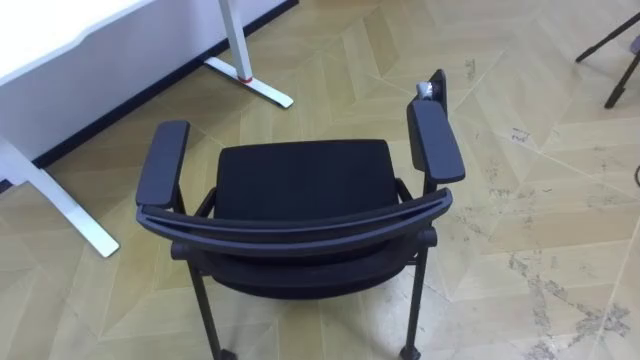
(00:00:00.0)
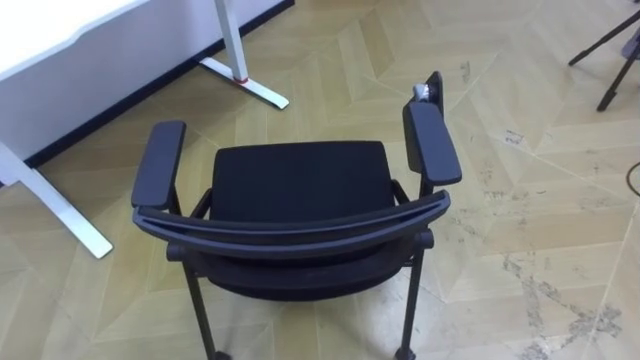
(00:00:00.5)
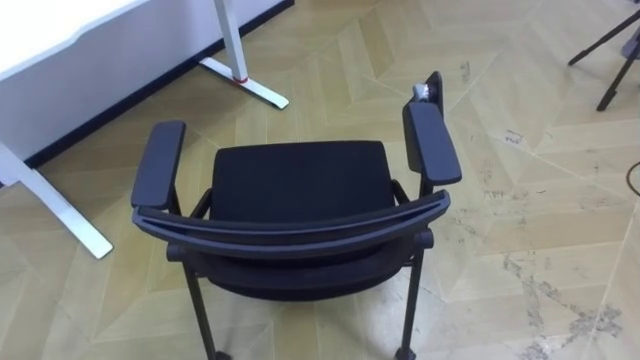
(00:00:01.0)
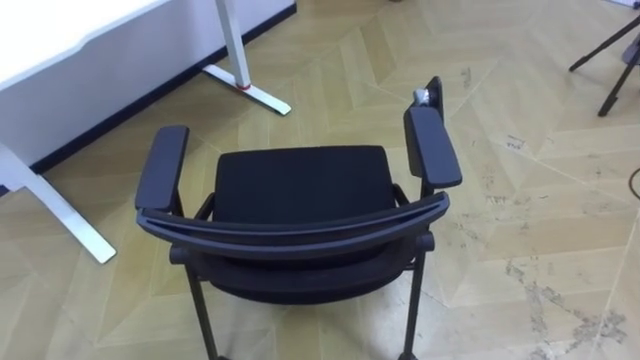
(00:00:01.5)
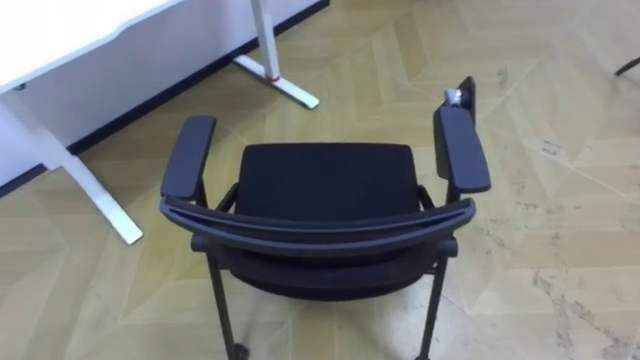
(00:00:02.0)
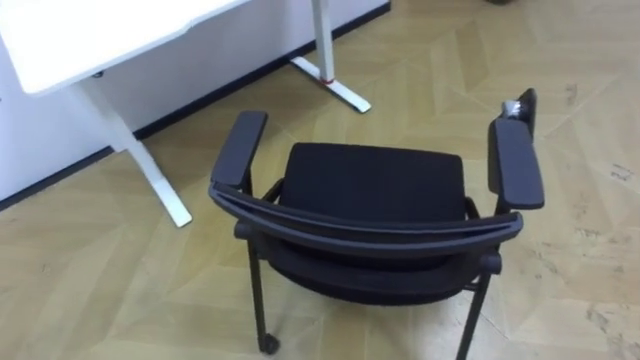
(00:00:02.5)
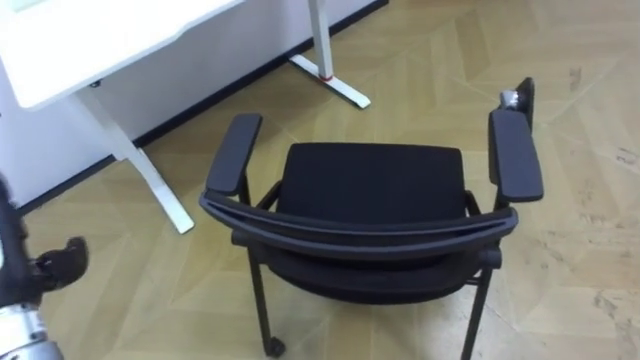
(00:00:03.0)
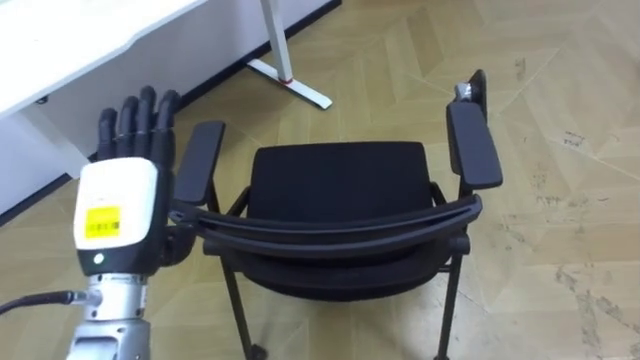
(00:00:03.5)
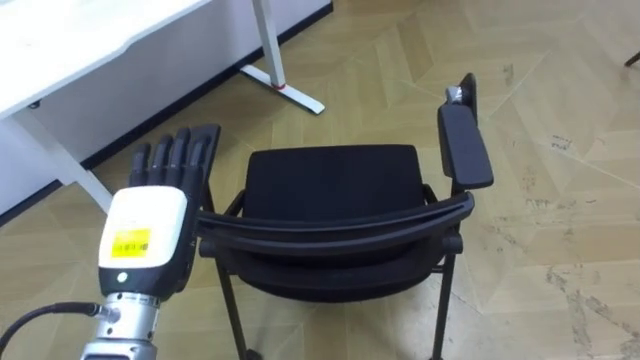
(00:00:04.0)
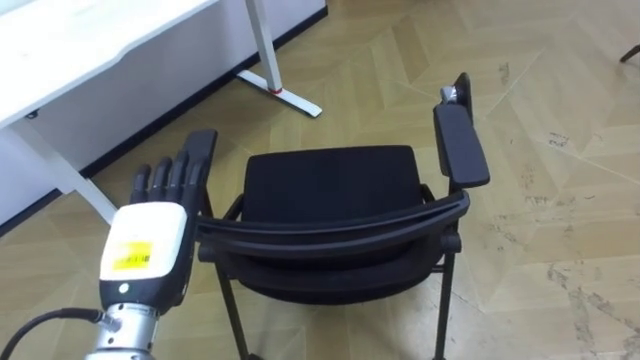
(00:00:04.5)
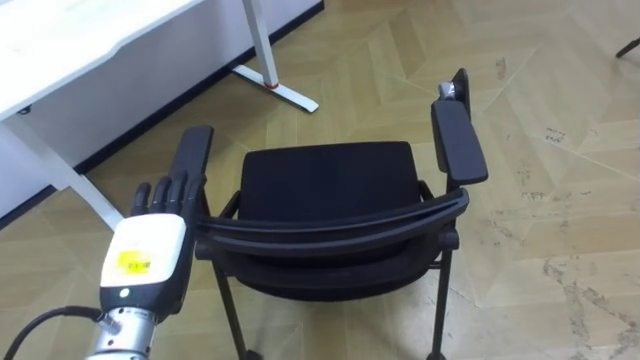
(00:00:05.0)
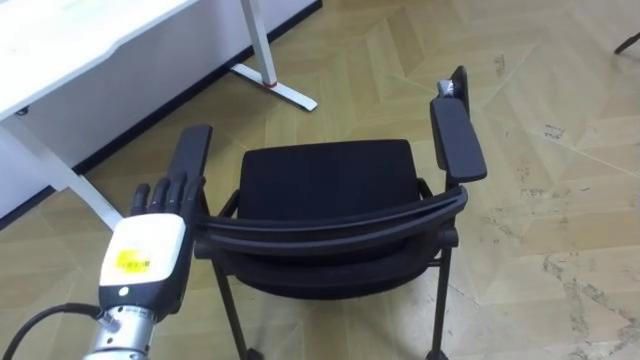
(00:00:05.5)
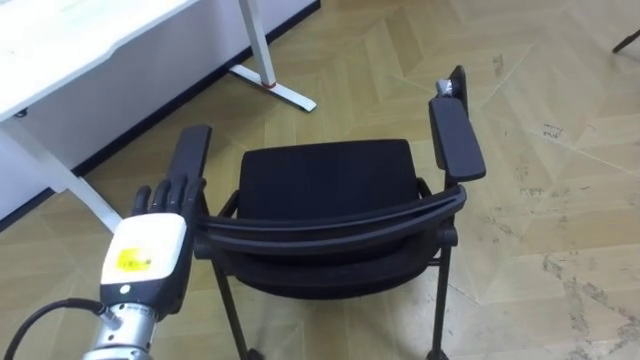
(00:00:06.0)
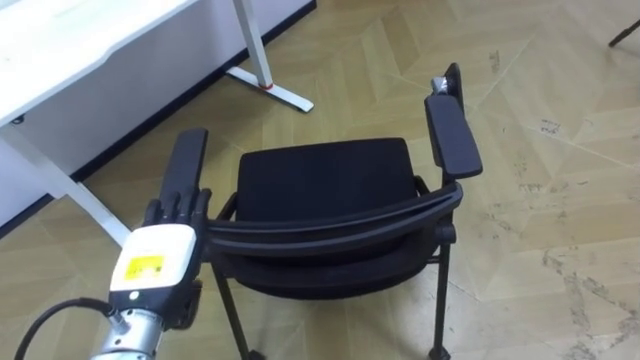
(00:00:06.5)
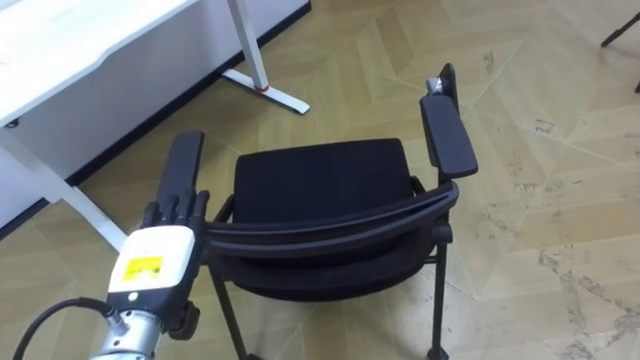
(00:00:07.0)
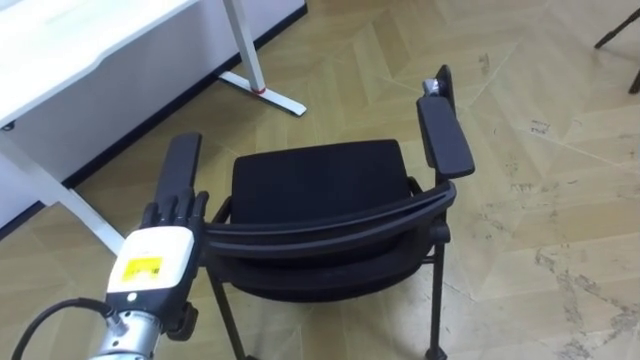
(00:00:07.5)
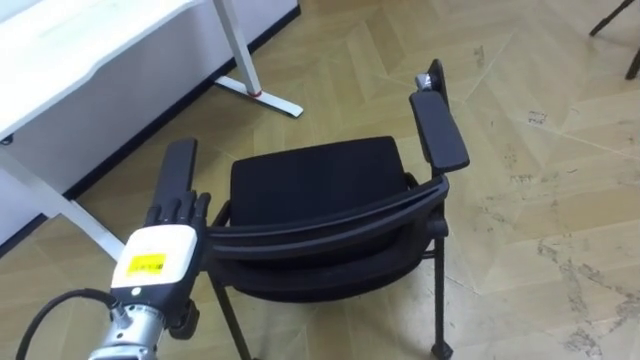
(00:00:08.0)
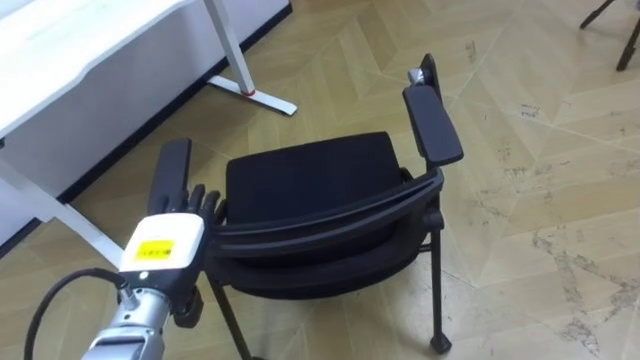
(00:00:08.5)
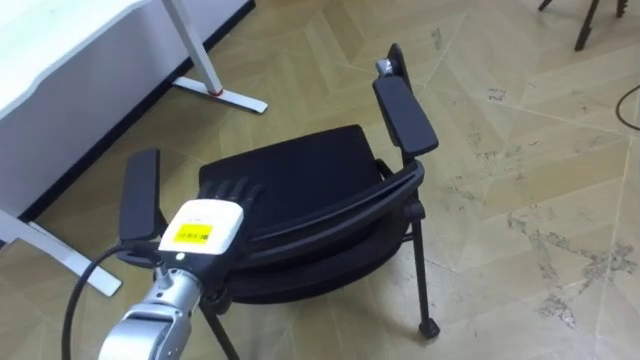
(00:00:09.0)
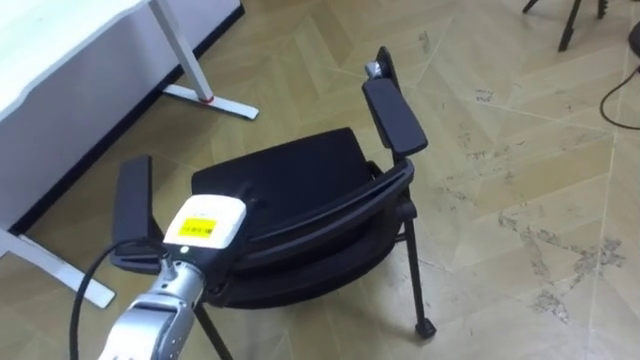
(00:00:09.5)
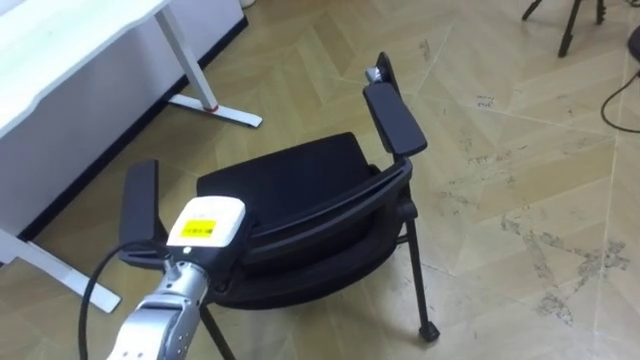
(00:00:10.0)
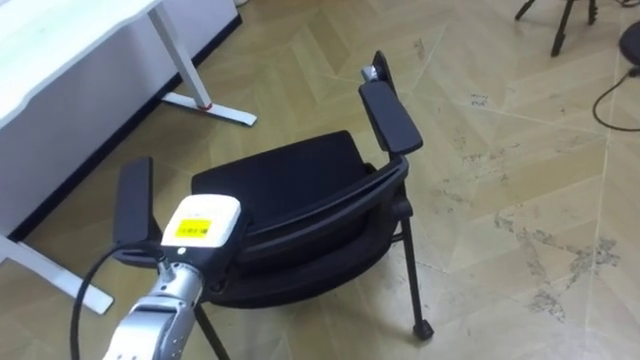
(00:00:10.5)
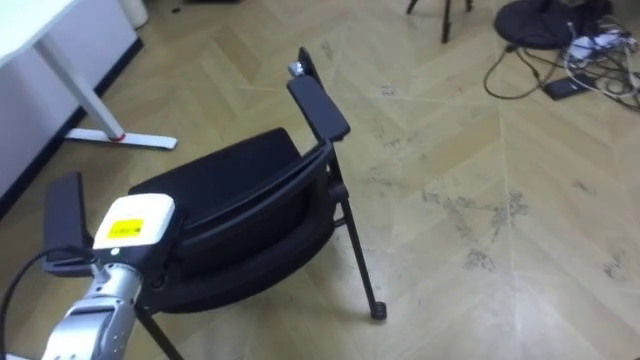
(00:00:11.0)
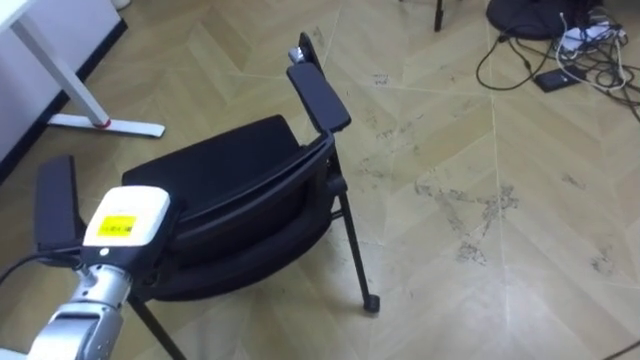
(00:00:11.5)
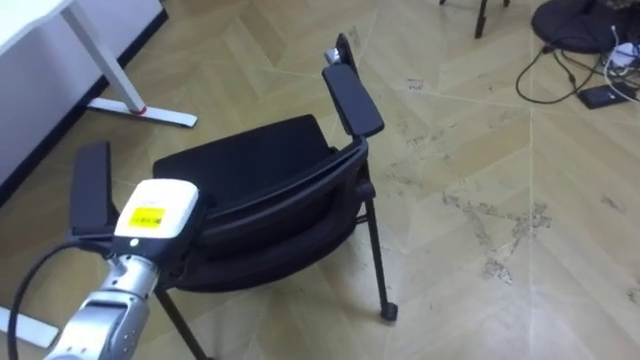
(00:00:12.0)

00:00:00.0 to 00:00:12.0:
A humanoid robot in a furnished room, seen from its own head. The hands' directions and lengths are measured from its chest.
Task of the whole recording: Push the chair under the table.
00:00:08.0 to 00:00:10.0: The left hand moves roughly 5 cm, and closes its fingers.
00:00:10.0 to 00:00:12.0: The left hand travels to the left by about 5 cm.

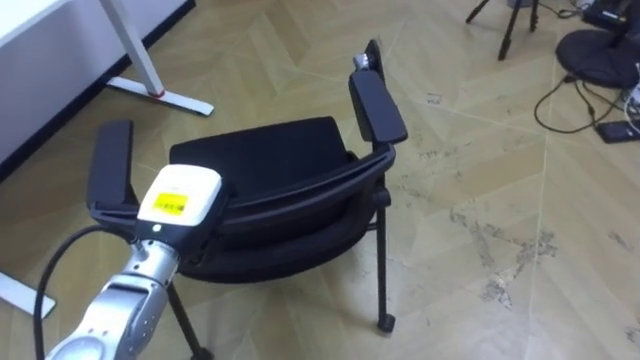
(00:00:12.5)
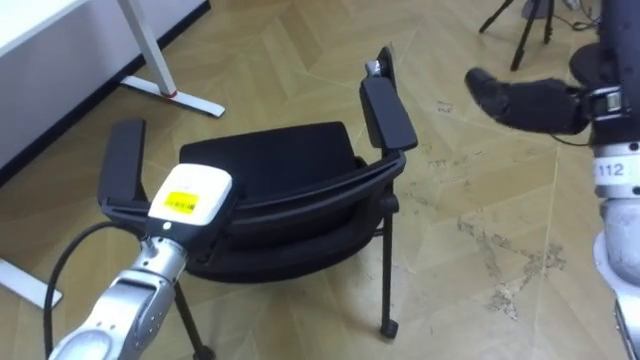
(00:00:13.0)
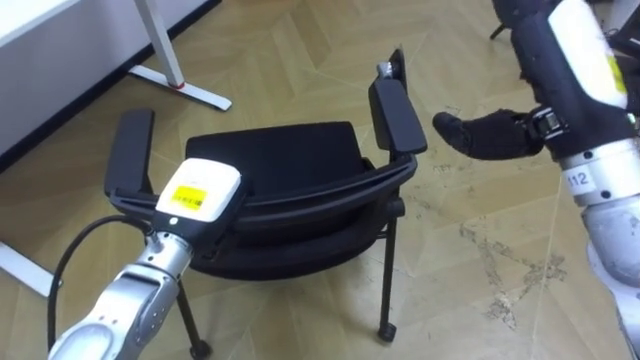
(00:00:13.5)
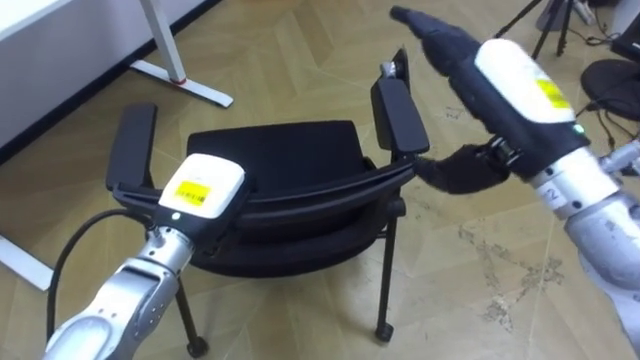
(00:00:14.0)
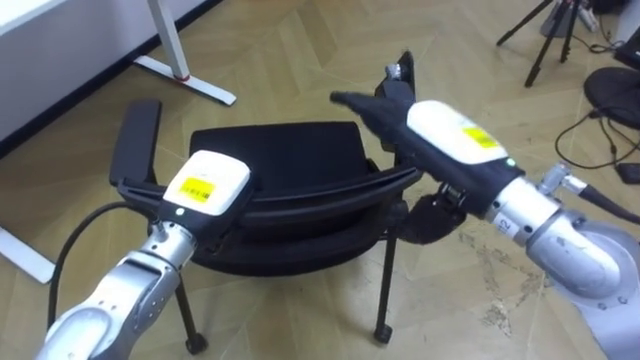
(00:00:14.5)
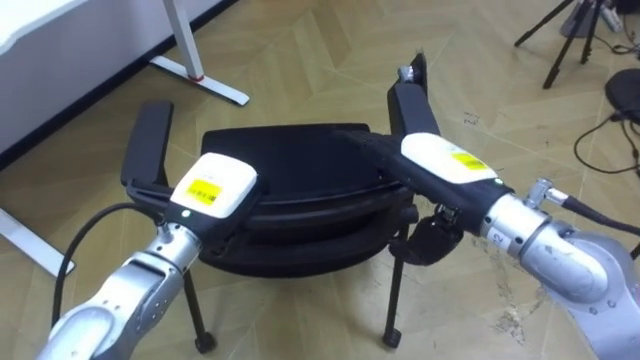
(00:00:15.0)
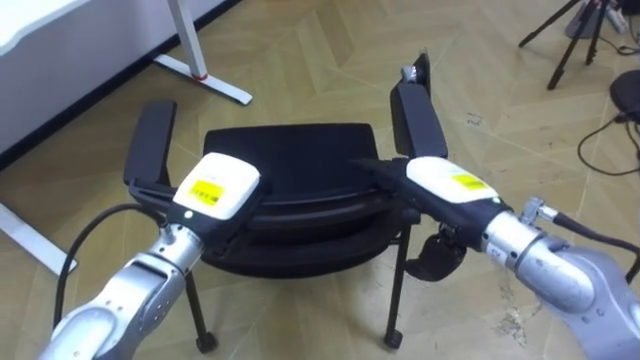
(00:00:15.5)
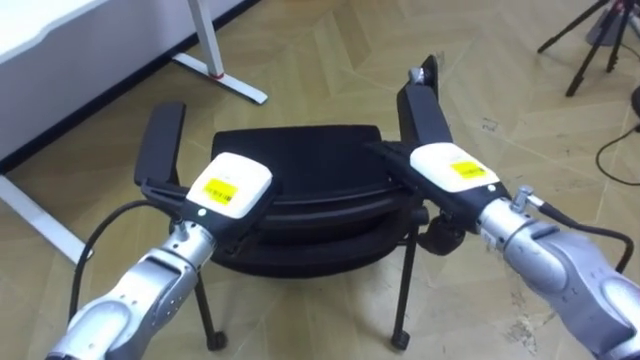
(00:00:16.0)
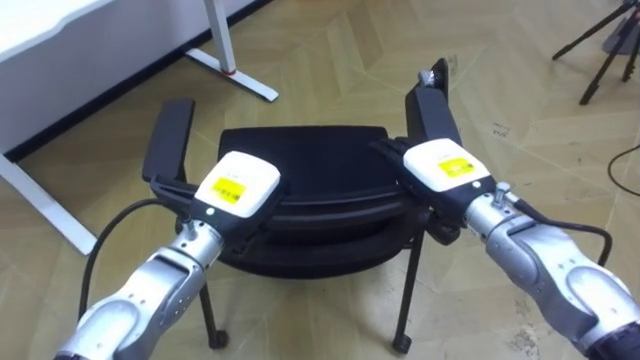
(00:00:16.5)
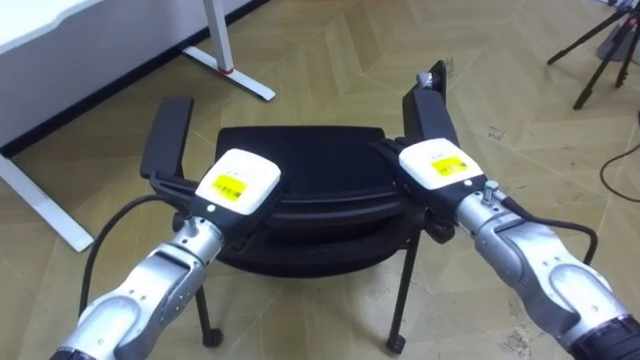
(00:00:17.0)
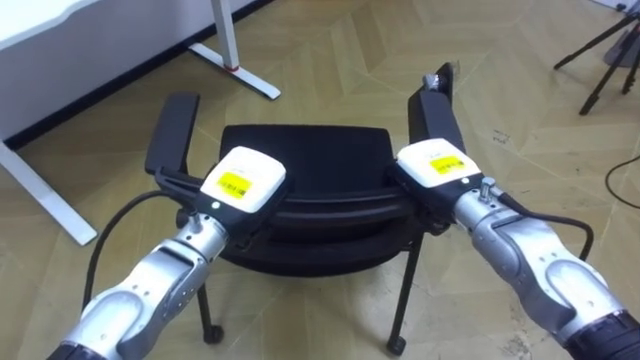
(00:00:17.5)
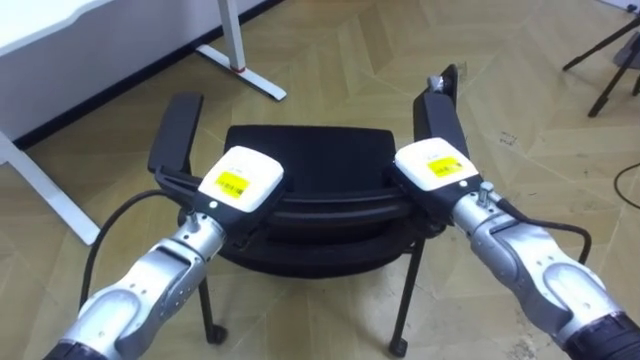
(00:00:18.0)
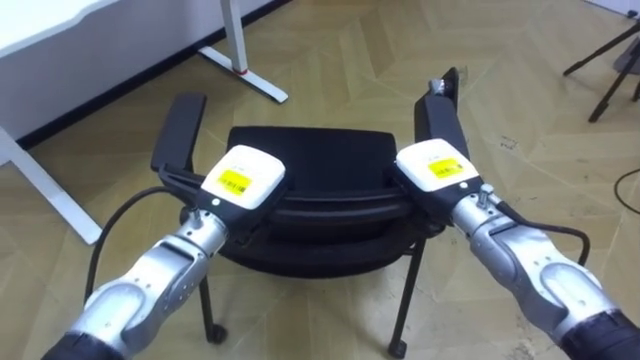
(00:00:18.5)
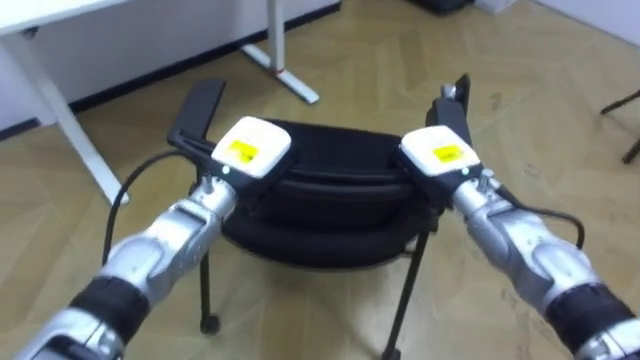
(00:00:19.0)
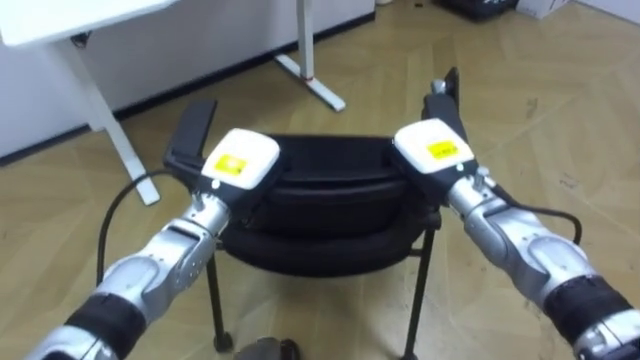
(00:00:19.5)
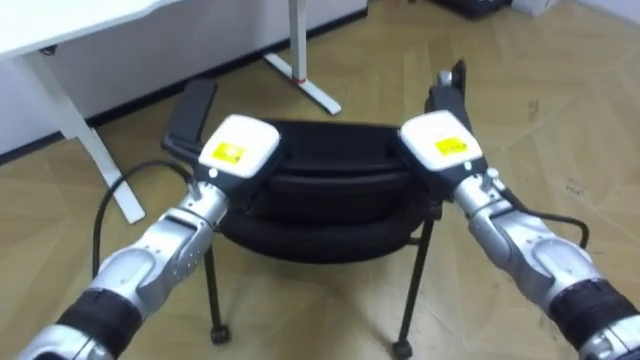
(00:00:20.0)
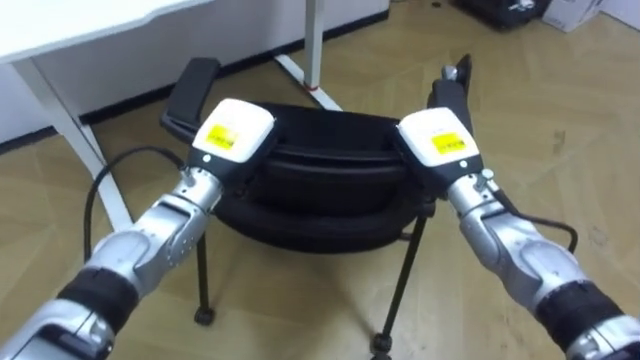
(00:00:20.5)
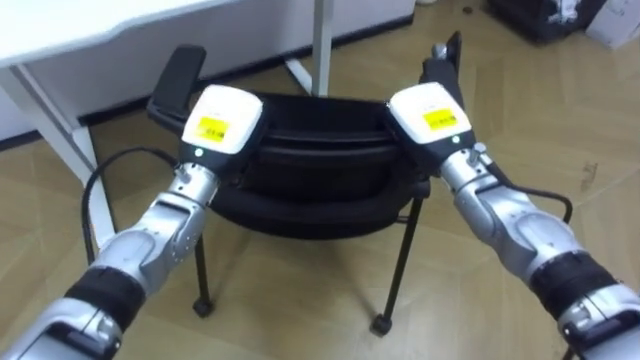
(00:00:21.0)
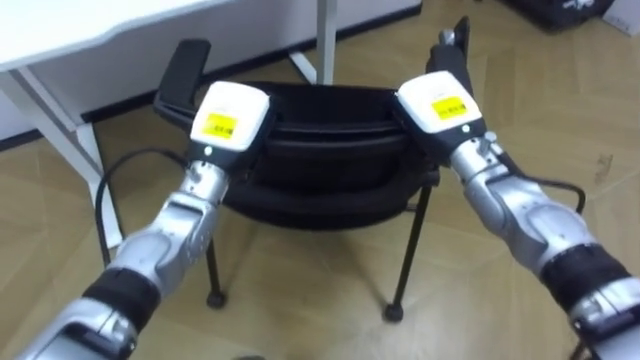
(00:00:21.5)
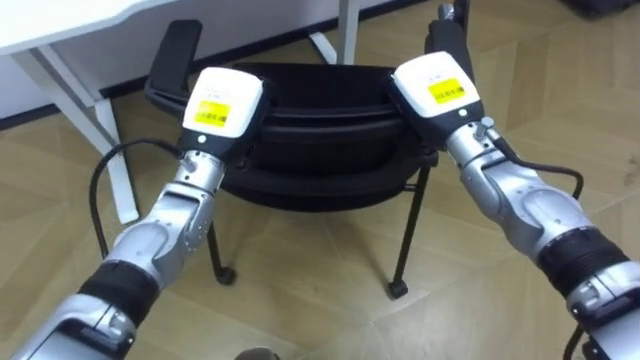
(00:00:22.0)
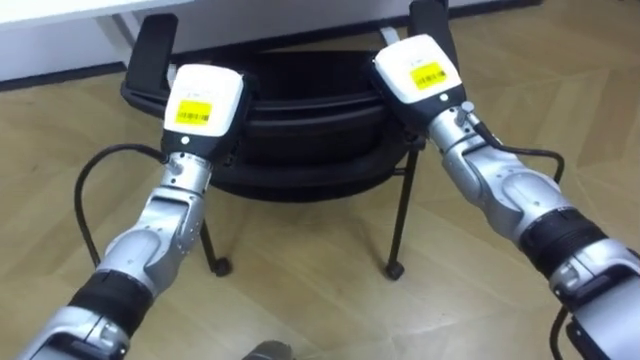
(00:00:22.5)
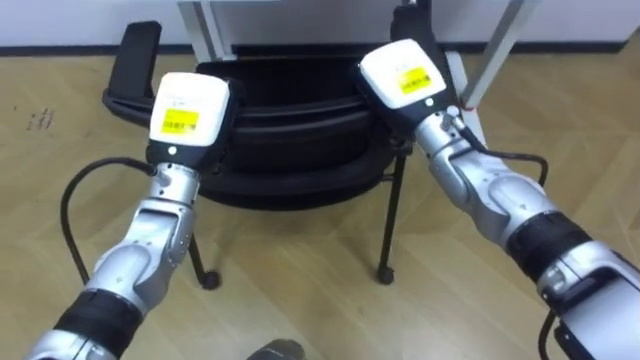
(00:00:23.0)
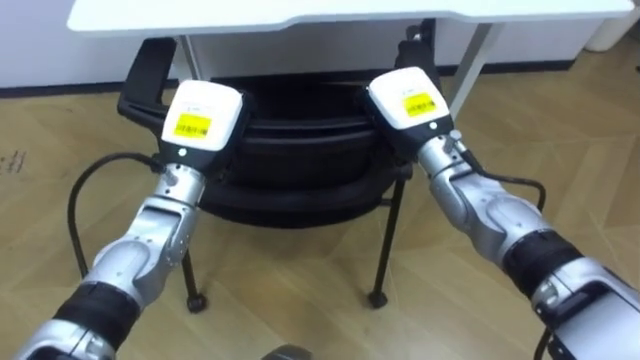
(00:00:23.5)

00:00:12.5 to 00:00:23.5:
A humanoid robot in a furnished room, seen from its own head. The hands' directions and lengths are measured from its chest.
Task of the whole recording: Push the chair under the table.
00:00:14.5 to 00:00:16.0: The right hand heads downward, covering approximately 10 cm.
00:00:16.0 to 00:00:18.0: The right hand closes up.
00:00:20.0 to 00:00:21.5: The right hand shifts by approximately 5 cm.
